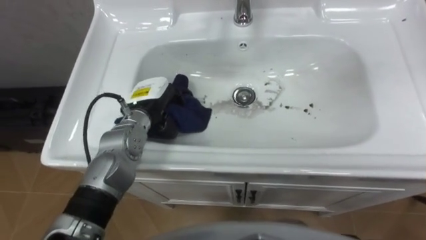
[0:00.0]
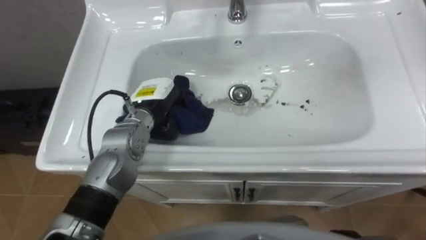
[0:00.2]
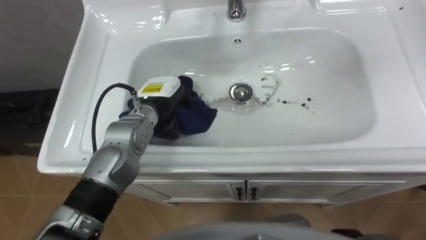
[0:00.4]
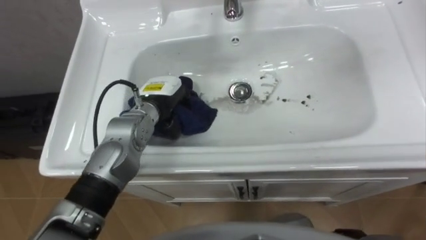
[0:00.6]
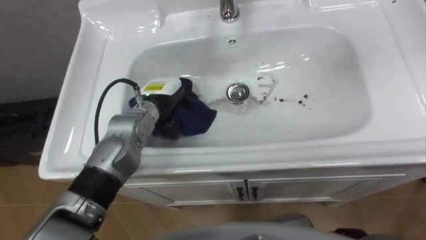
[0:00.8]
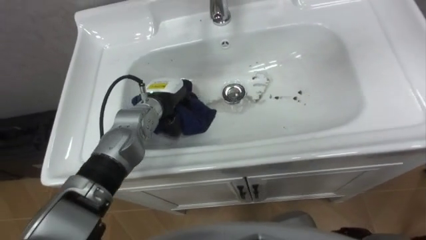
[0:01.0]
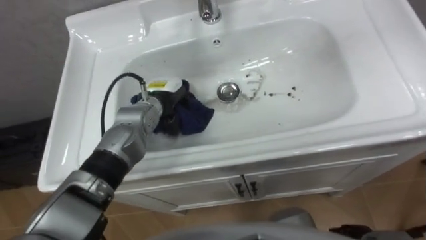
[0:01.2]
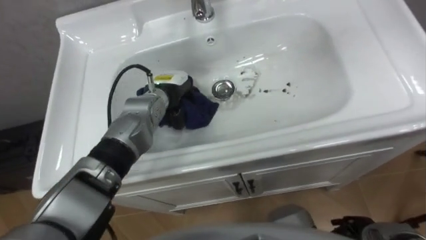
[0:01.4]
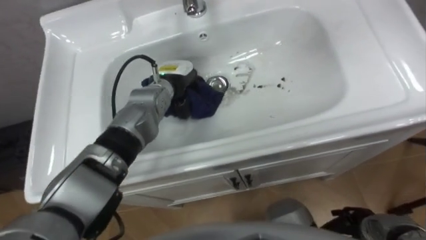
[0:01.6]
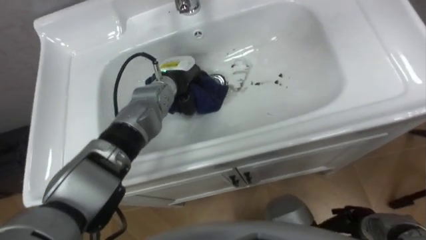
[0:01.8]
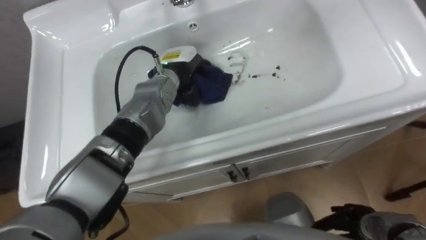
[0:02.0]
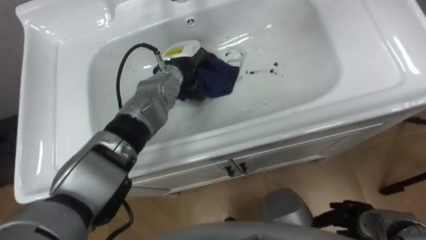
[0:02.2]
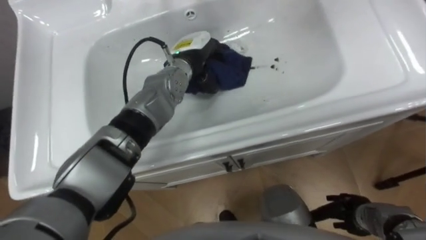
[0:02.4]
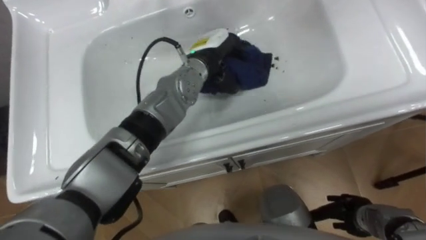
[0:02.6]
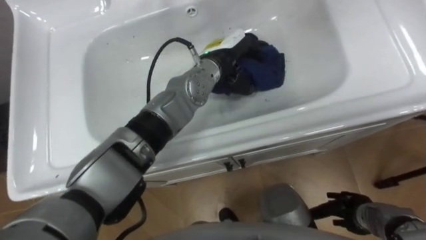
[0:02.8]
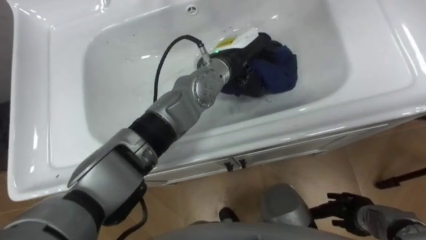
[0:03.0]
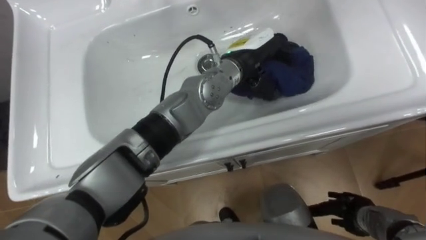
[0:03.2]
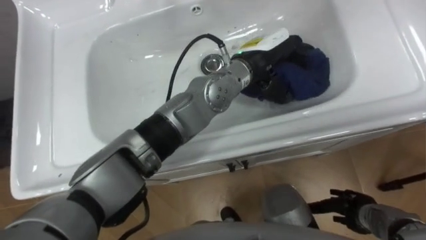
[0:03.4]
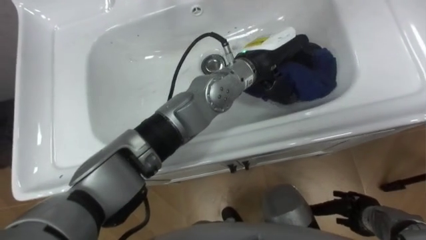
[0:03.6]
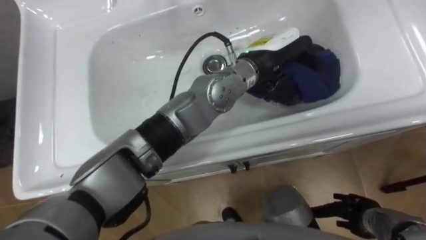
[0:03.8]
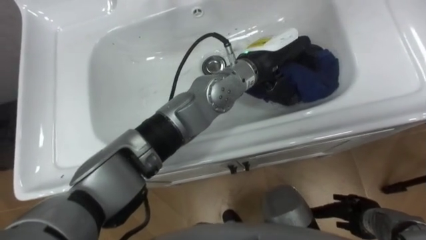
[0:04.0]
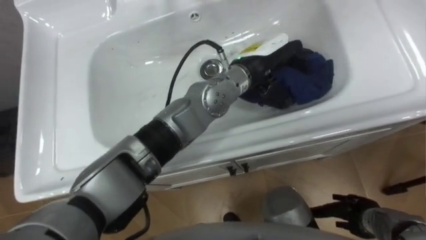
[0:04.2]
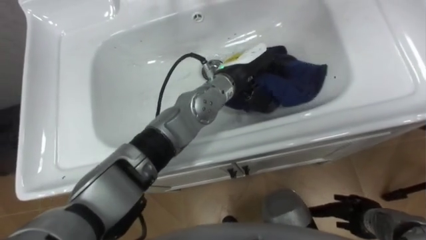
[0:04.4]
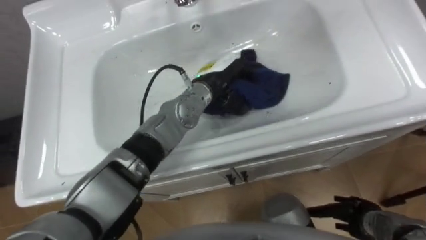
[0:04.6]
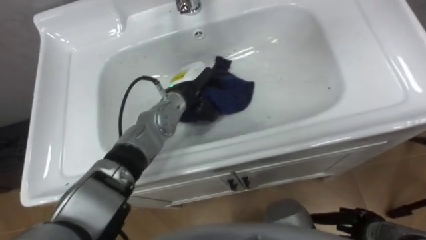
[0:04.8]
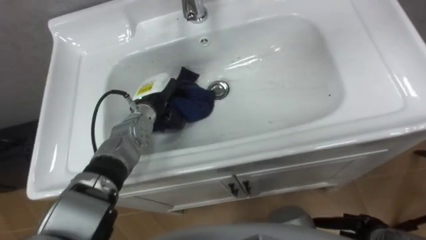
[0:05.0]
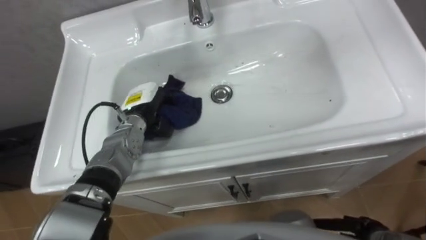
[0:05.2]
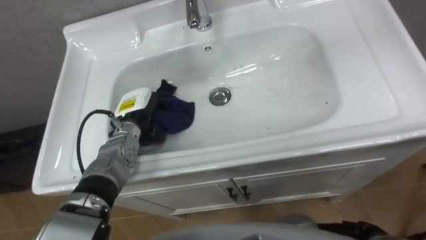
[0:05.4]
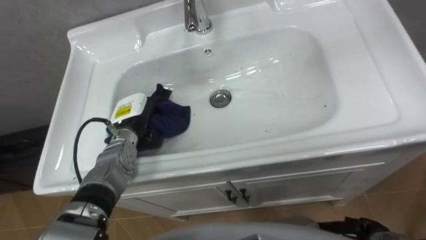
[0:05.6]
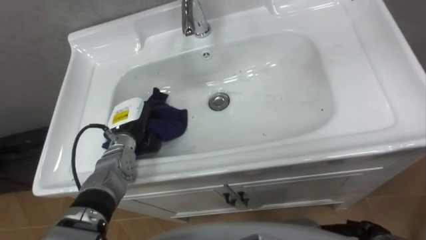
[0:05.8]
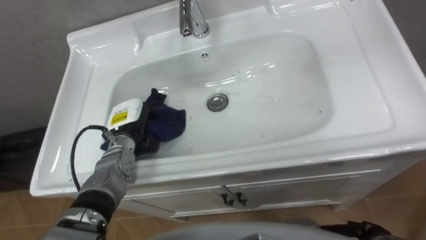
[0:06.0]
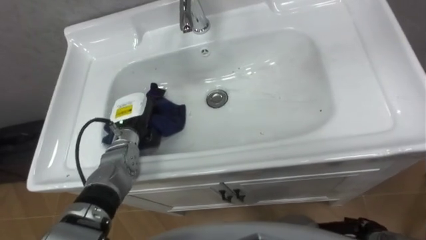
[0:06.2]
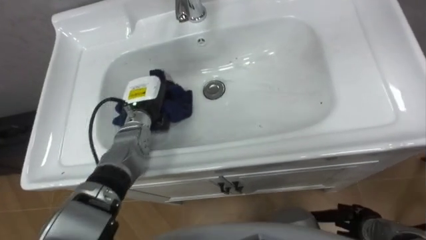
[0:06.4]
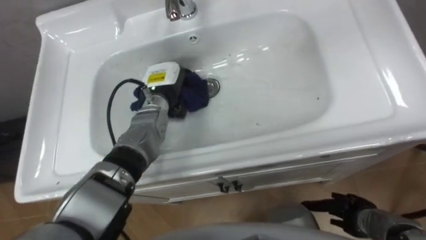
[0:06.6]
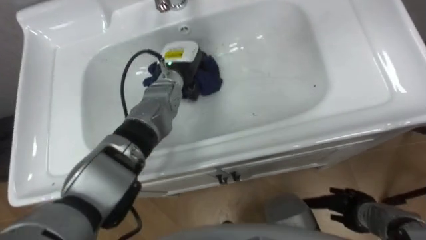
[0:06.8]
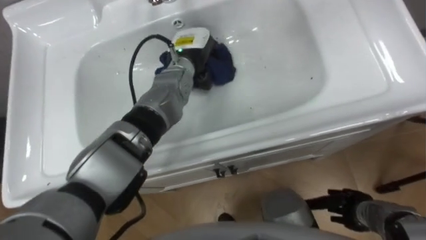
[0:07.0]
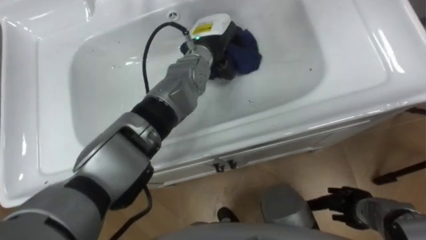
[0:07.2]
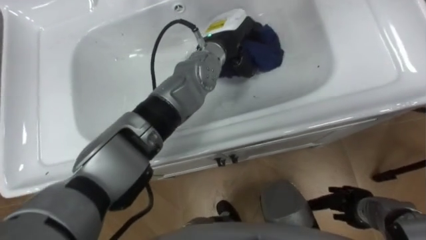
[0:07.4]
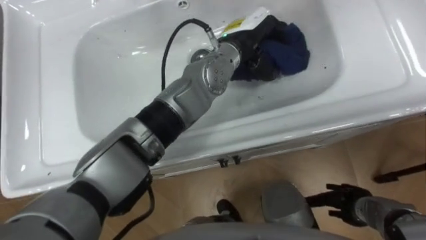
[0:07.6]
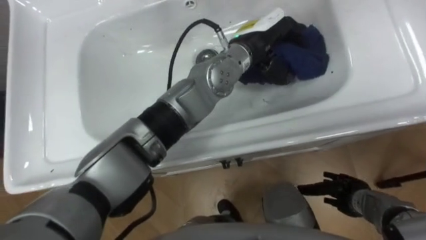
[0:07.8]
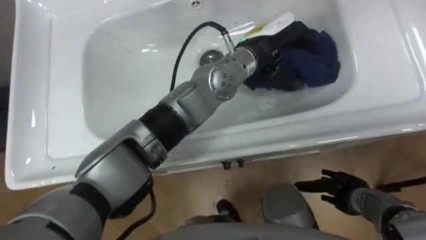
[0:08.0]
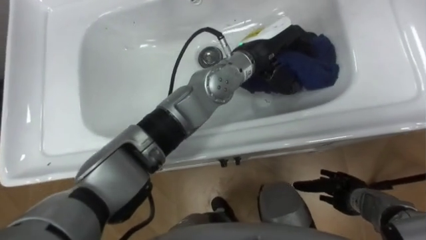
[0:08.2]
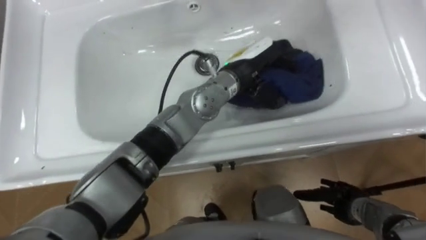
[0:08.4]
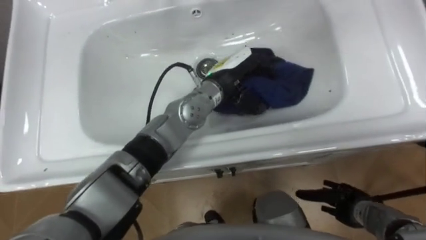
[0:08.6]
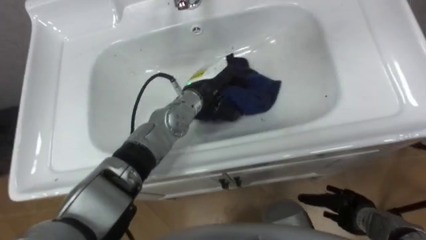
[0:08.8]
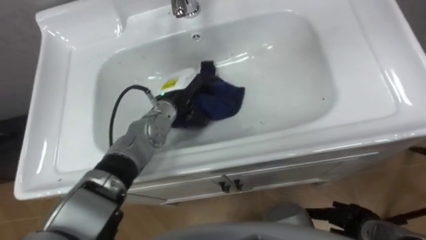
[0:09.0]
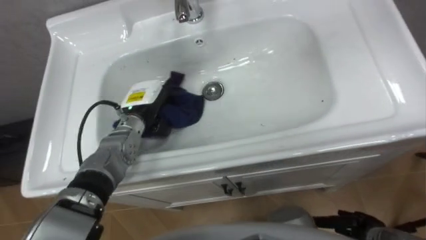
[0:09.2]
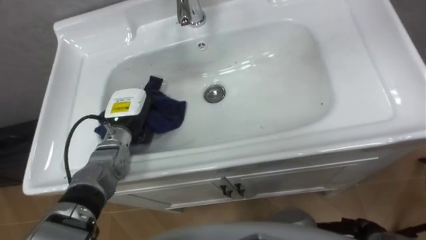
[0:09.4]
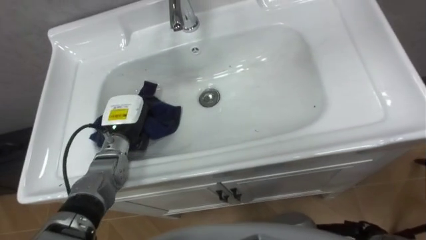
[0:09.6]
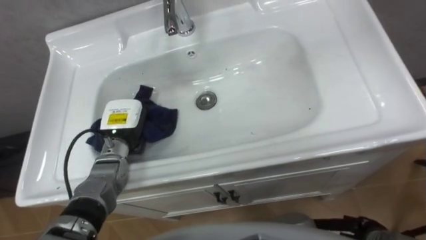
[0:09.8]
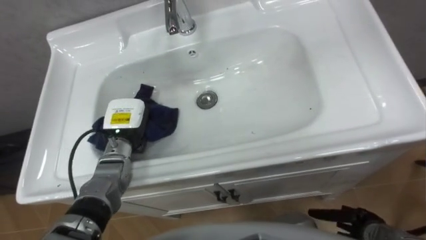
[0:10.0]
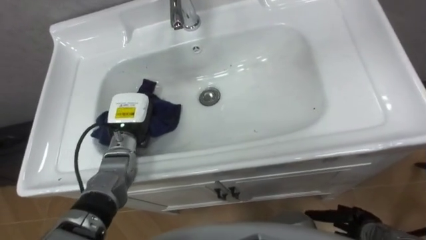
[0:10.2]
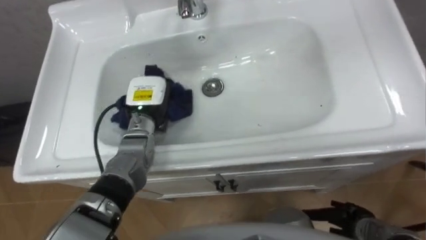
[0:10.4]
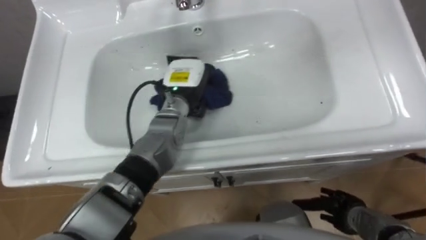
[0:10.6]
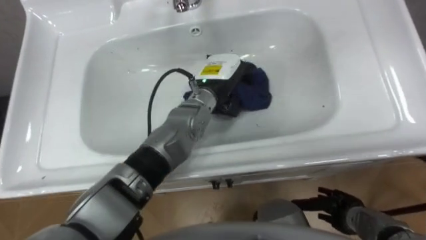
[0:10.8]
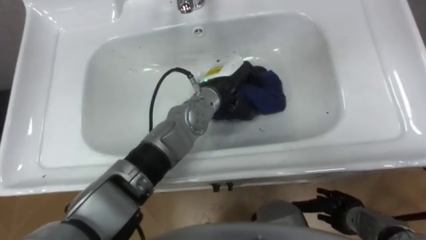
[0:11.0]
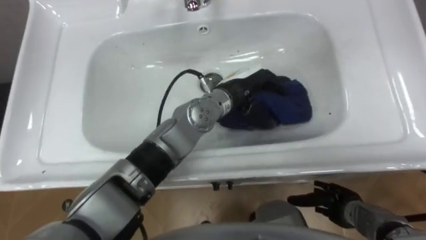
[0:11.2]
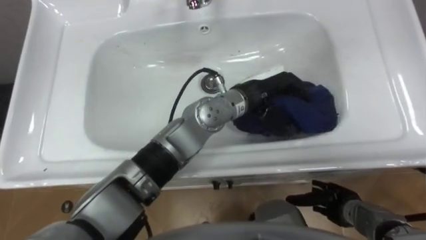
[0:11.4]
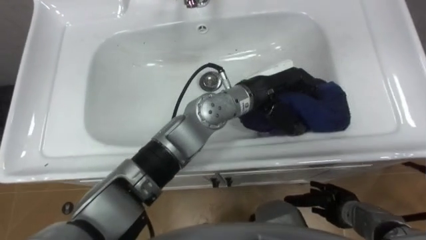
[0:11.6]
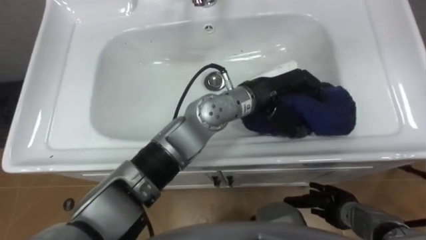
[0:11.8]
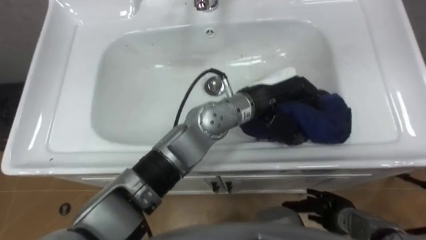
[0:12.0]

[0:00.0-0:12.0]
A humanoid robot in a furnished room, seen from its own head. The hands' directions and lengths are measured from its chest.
Task of the whole recording: Use the cloth on the right to wipe away the black stain in the sink.
0:00.0 to 0:01.6: The left hand goes some 10 cm forward and to the right.
0:01.6 to 0:03.0: The left hand heads to the right and upward, covering some 15 cm.
0:04.4 to 0:06.0: The left hand is displaced to the left and downward by about 30 cm.
0:06.0 to 0:07.6: The left hand is displaced to the right and upward by approximately 30 cm.
0:07.6 to 0:09.0: The left hand heads to the left and downward, covering about 20 cm.
0:09.0 to 0:10.4: The left hand goes approximately 5 cm to the left.
0:10.4 to 0:12.0: The left hand moves to the right and upward, roughly 25 cm.

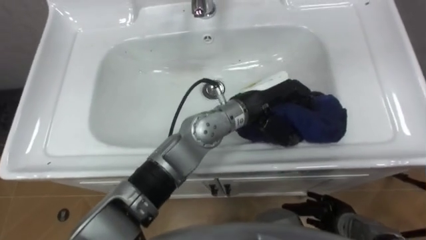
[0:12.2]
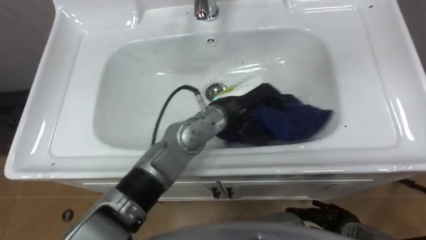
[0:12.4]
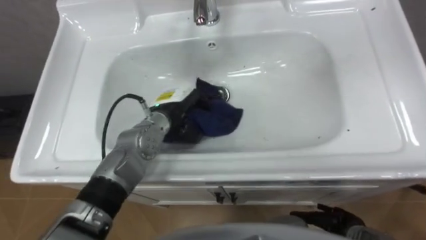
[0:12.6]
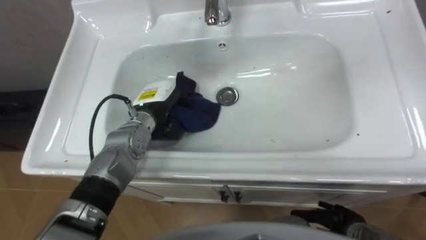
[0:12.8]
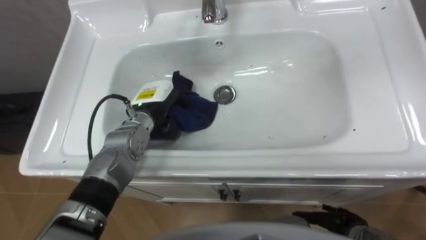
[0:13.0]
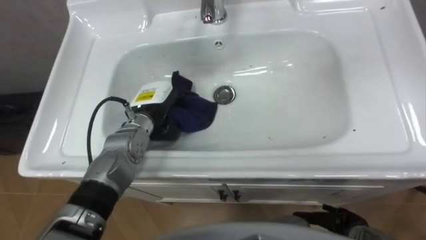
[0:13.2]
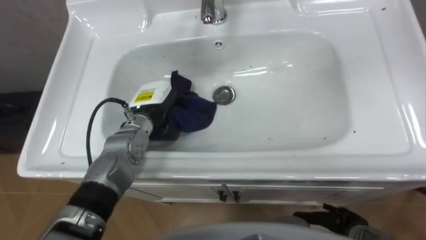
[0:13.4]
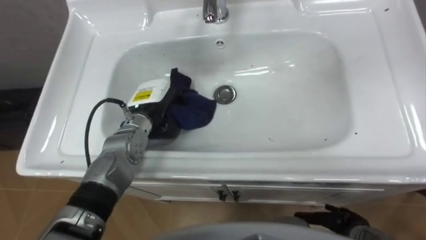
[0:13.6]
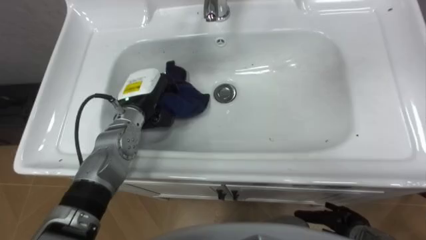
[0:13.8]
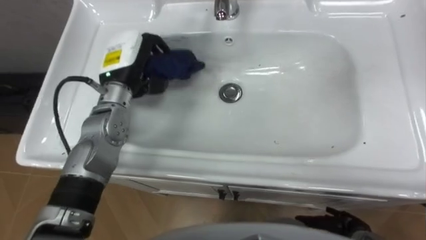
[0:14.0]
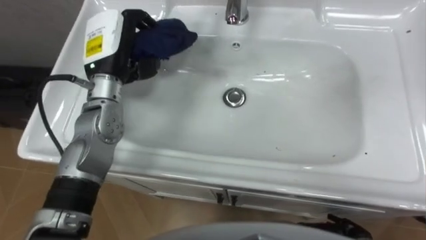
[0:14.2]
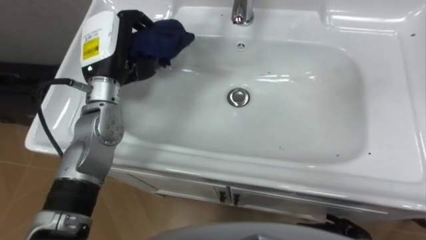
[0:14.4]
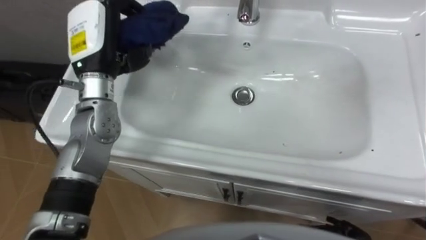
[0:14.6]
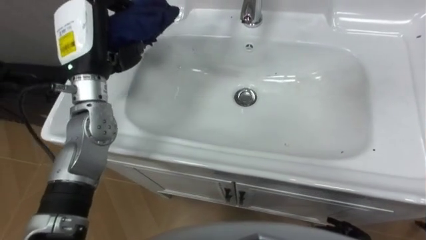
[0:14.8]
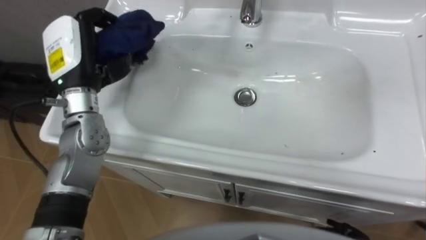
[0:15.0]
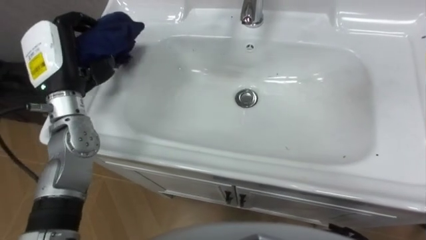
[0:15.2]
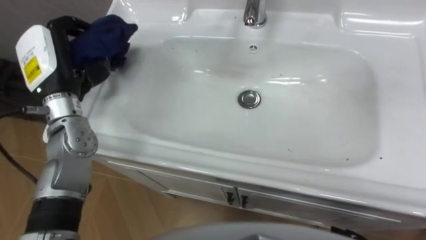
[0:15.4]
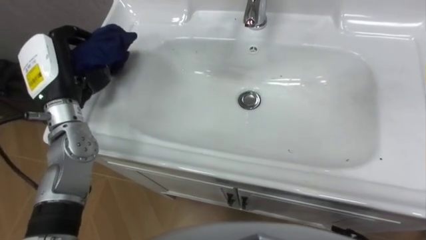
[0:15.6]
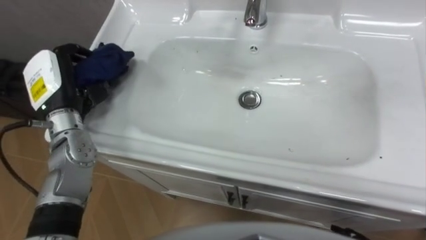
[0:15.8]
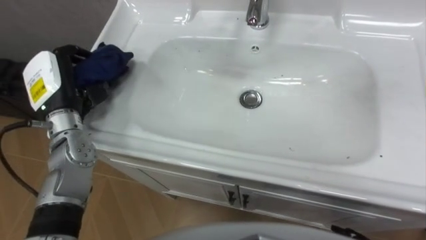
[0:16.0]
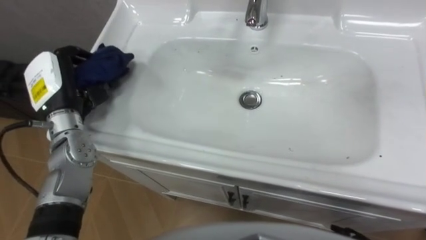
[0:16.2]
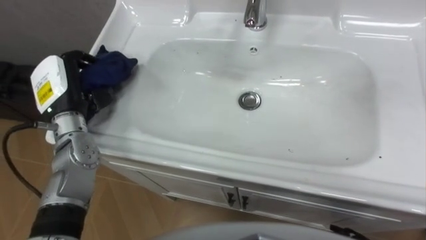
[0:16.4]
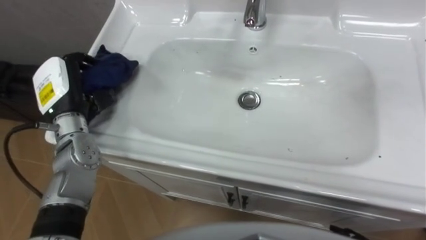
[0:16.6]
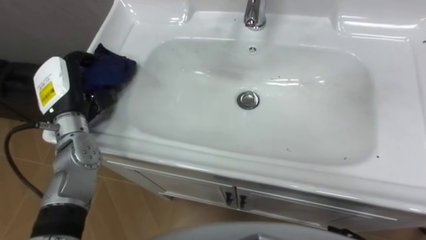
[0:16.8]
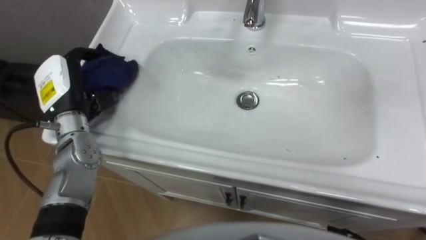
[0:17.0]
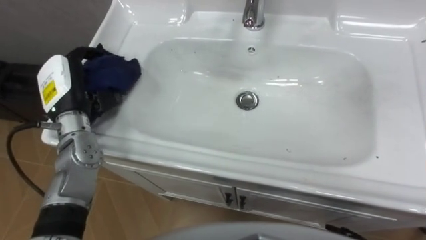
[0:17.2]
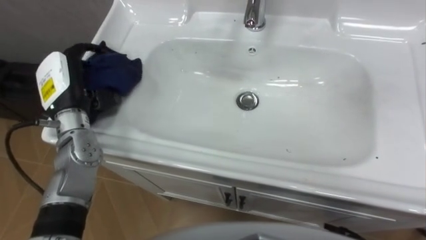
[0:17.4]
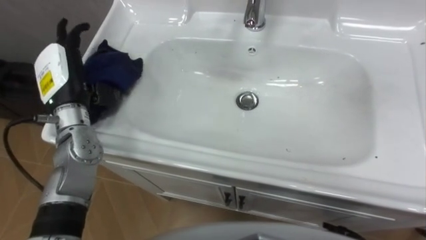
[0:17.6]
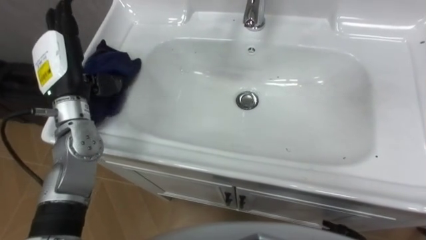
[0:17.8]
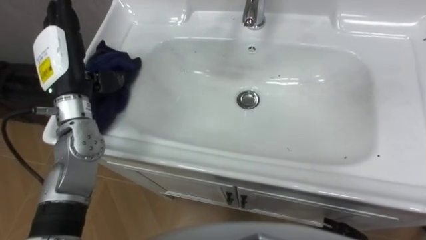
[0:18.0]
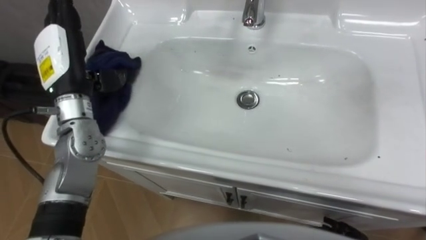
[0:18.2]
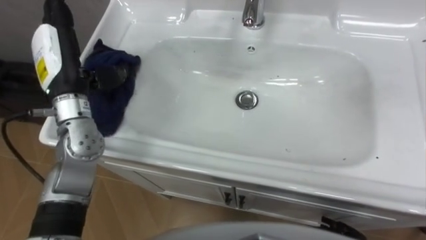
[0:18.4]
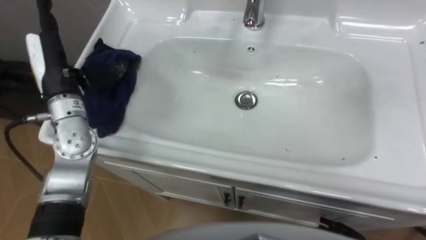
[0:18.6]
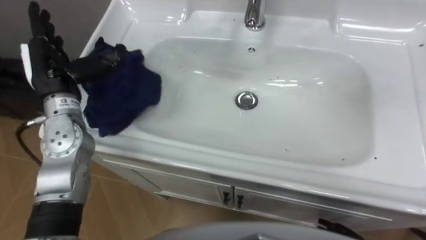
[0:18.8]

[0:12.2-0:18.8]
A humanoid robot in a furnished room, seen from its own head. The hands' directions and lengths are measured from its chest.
Task of the whole recording: Use the cloth on the right to wipe away the black stain in the sink.
0:12.2 to 0:13.8: The left hand is displaced to the left by approximately 25 cm.
0:13.8 to 0:15.4: The left hand is displaced to the left and upward by some 15 cm.
0:15.4 to 0:17.2: The left hand goes about 5 cm downward.
0:17.2 to 0:18.8: The left hand opens up.
